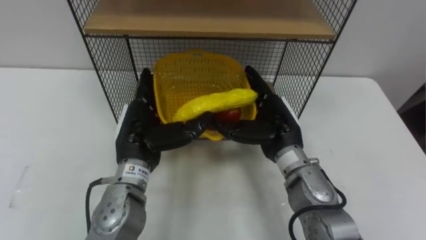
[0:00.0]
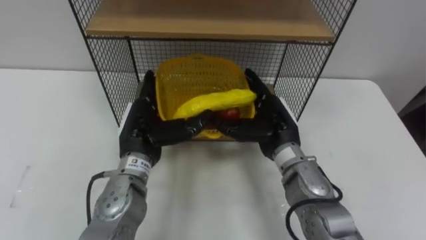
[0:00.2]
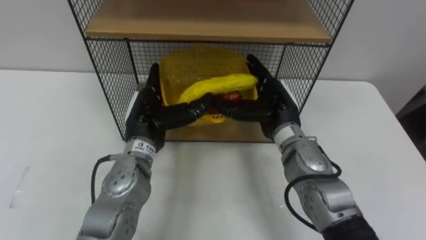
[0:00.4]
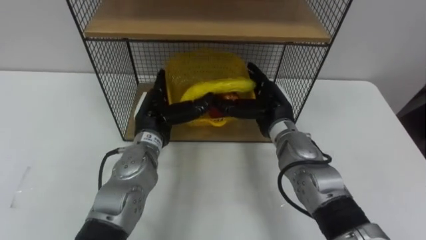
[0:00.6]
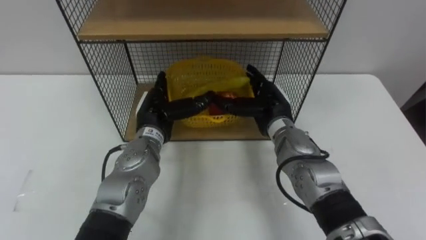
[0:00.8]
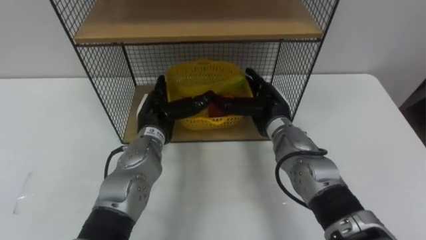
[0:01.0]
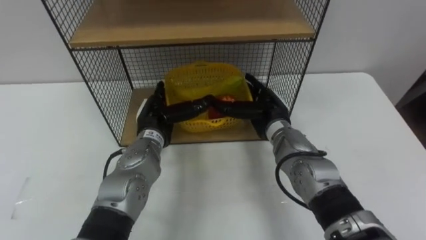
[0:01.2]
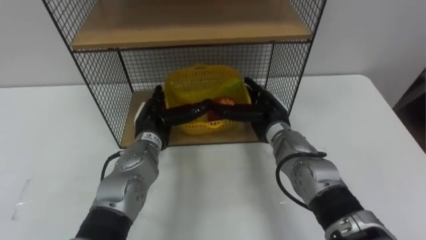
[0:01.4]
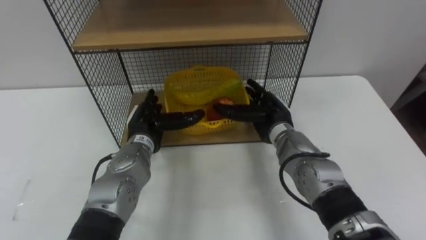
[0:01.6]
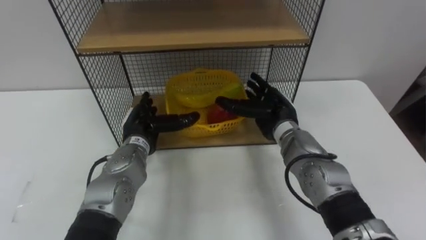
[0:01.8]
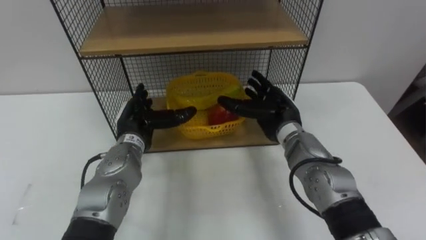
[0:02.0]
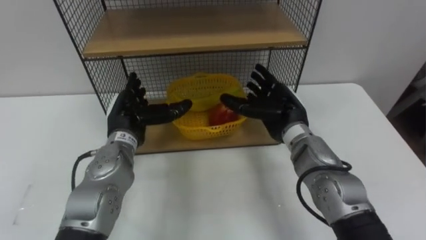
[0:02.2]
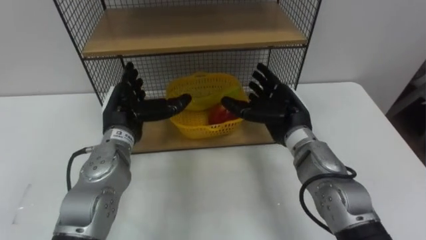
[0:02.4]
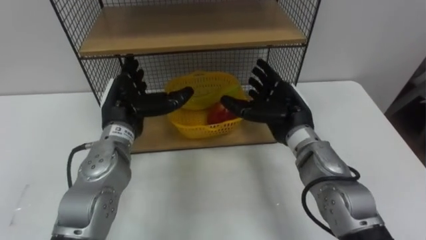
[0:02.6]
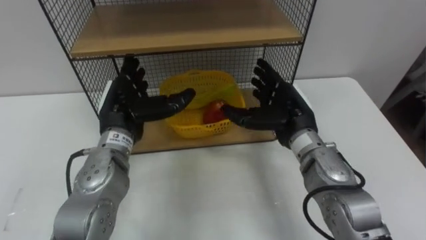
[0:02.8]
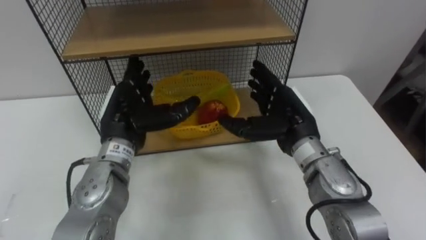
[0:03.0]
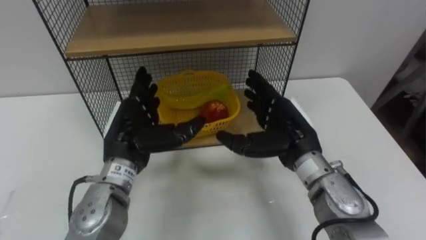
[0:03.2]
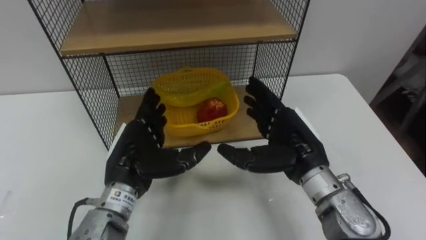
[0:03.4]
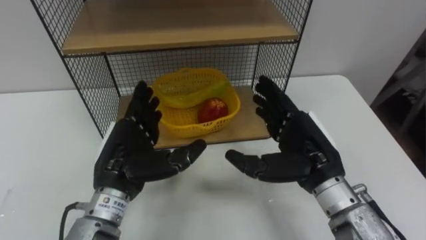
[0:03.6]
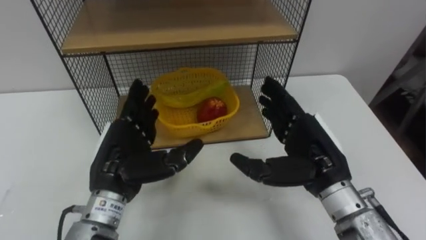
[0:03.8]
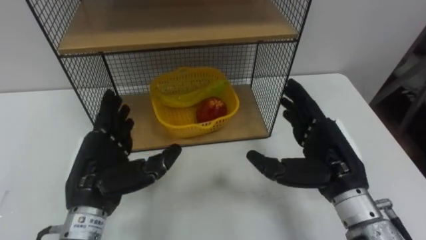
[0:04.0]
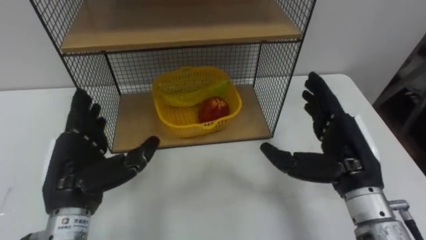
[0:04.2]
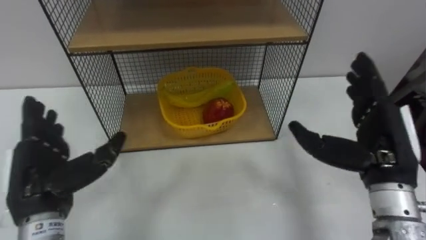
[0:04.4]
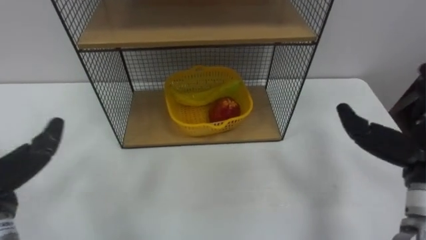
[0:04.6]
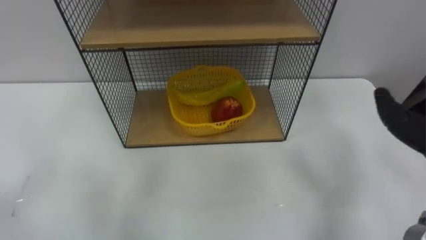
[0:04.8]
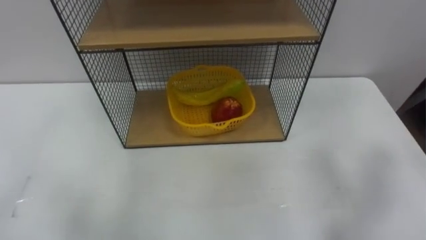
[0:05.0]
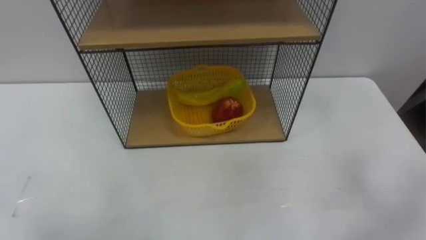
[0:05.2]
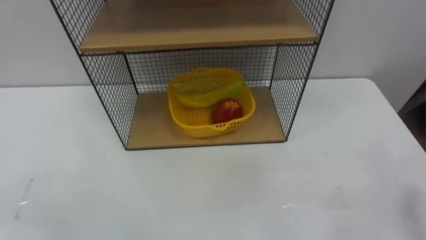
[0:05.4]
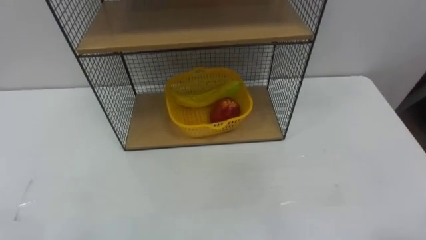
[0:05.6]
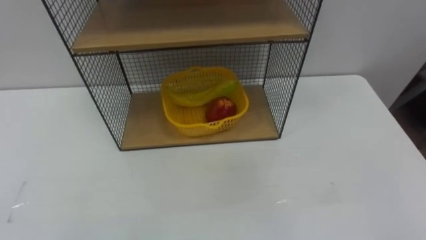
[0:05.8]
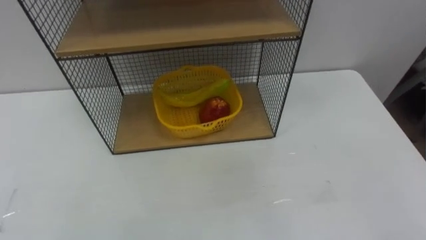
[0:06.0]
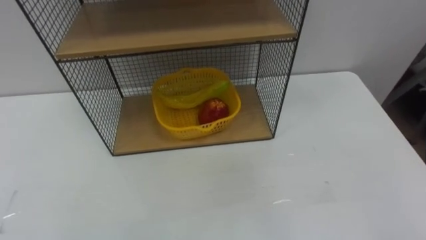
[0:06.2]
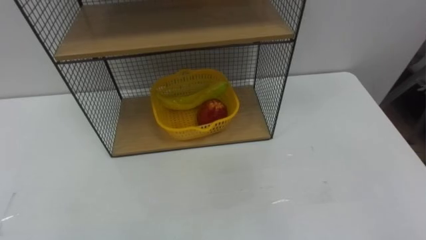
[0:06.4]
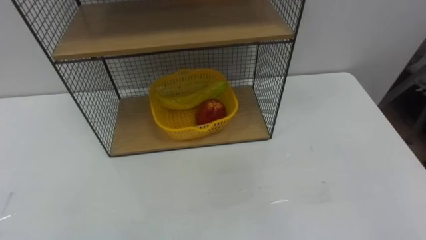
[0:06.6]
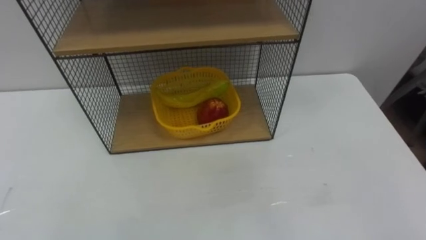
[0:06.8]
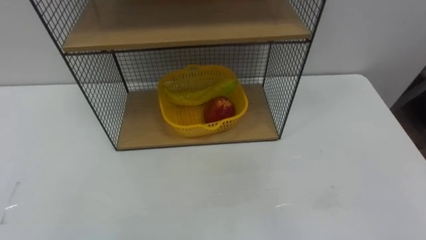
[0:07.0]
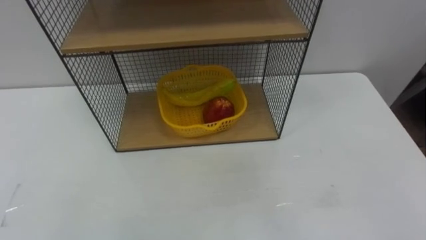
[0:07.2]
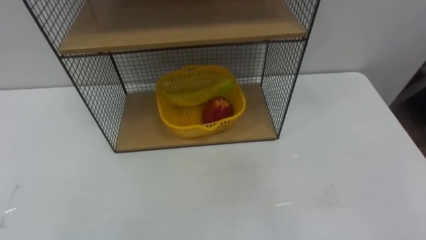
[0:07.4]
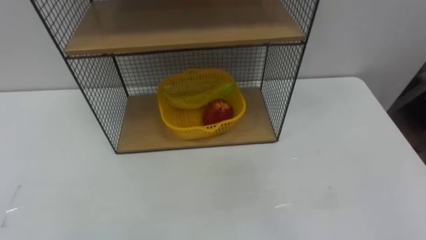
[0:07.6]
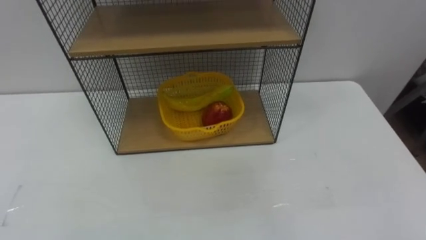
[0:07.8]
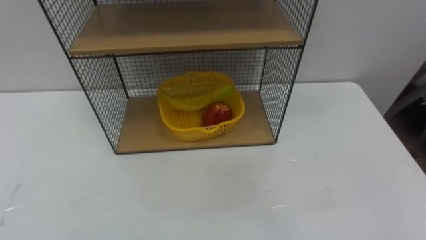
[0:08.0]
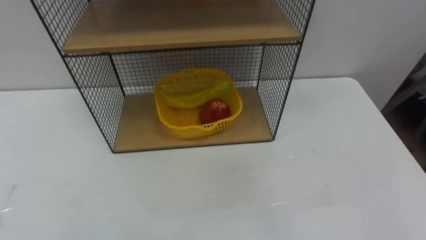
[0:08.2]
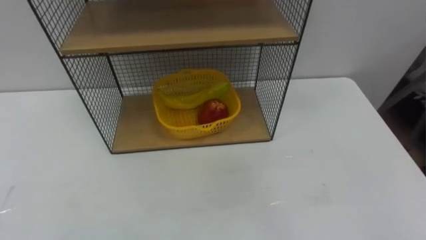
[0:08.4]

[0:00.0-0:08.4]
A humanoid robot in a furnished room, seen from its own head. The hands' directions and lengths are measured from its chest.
Task of the whole recording: Put the fruit on the table into the basket, then place the basket on the shelf.
0:00.0 to 0:01.4: The left hand moves forward and downward, some 10 cm; the right hand shifts roughly 5 cm forward.
0:01.4 to 0:02.8: Both hands move upward, some 5 cm.
0:02.8 to 0:04.2: The right hand heads backward and to the right, covering some 10 cm. The left hand shifts roughly 10 cm backward and to the left.

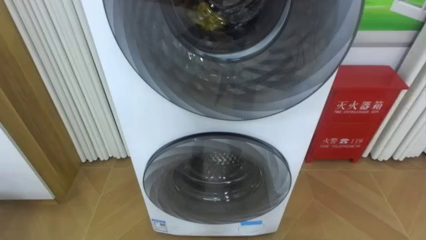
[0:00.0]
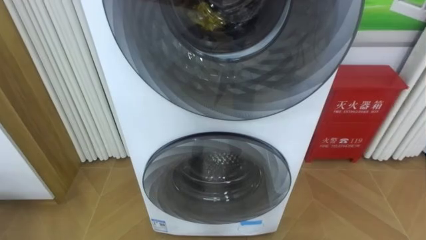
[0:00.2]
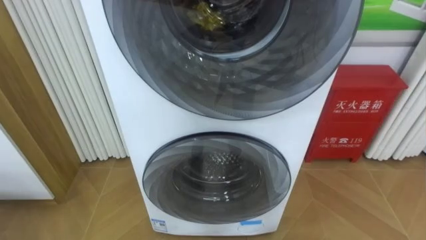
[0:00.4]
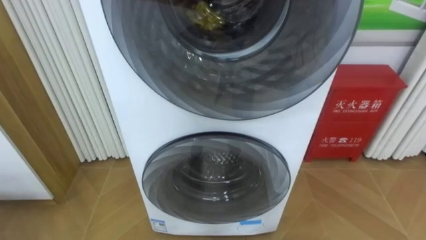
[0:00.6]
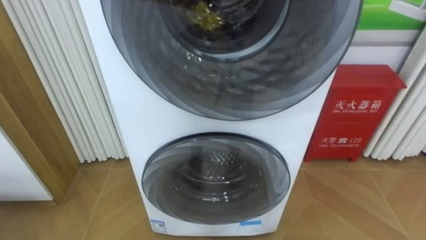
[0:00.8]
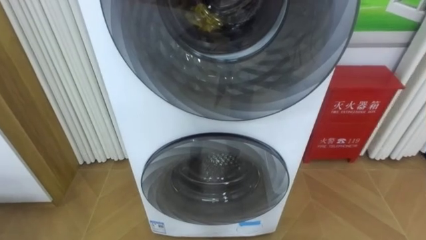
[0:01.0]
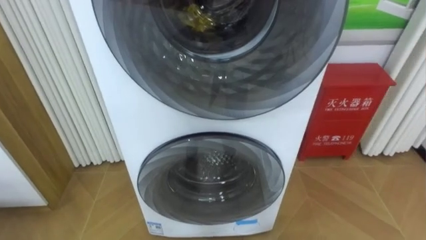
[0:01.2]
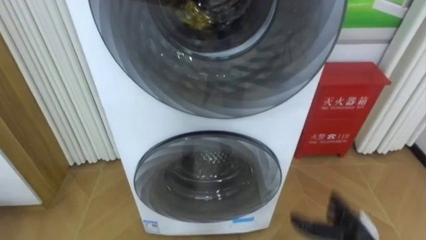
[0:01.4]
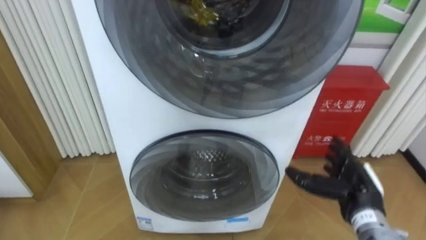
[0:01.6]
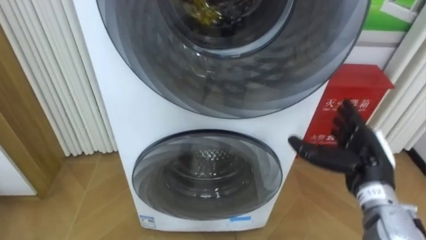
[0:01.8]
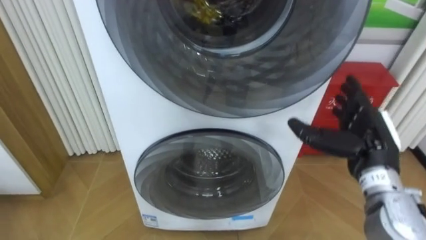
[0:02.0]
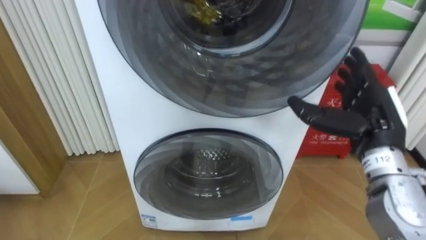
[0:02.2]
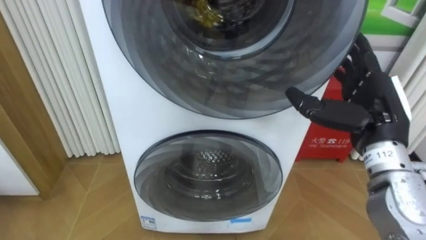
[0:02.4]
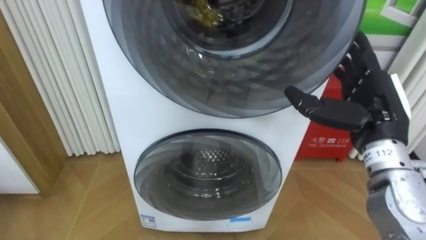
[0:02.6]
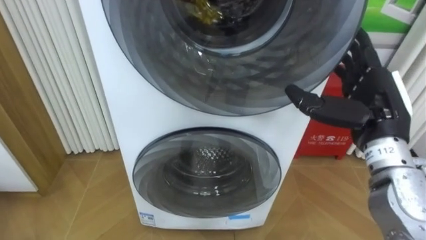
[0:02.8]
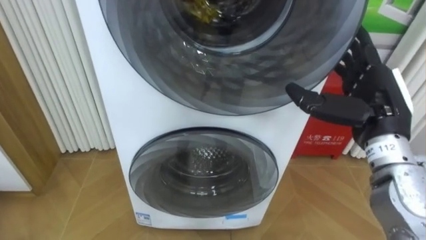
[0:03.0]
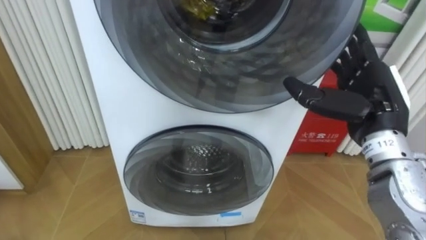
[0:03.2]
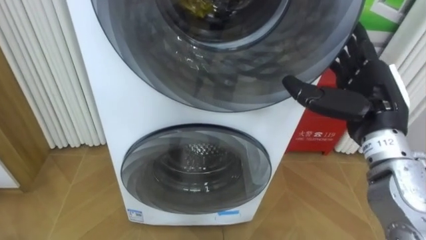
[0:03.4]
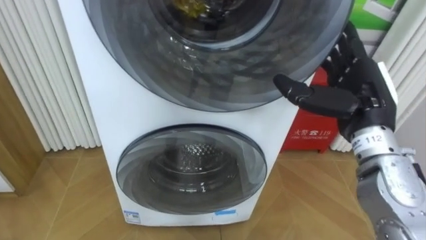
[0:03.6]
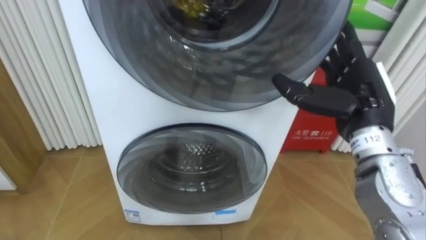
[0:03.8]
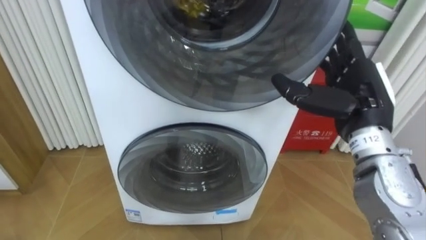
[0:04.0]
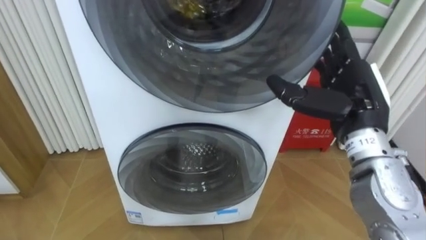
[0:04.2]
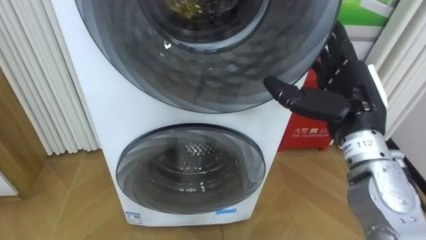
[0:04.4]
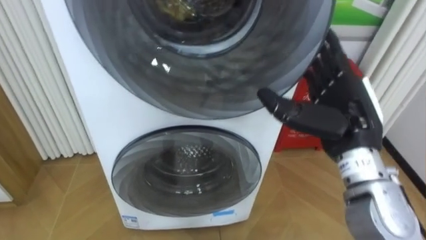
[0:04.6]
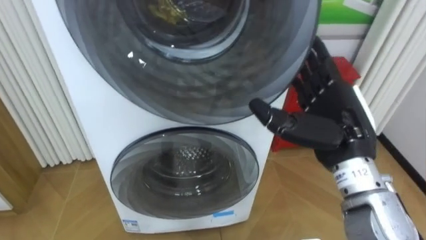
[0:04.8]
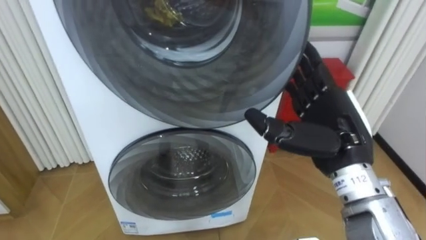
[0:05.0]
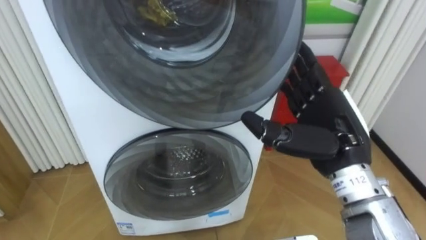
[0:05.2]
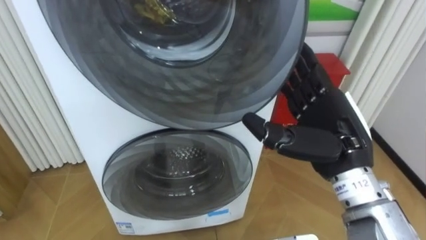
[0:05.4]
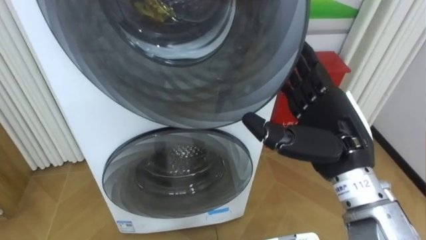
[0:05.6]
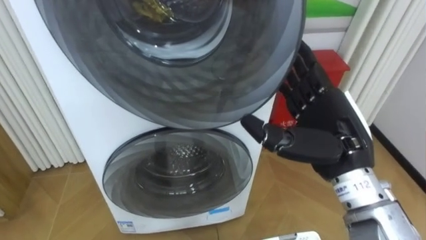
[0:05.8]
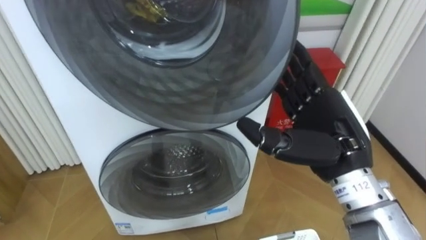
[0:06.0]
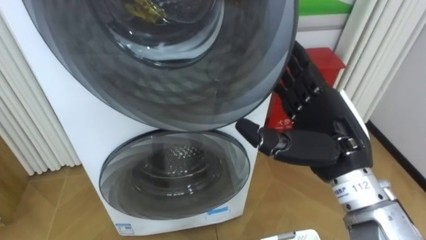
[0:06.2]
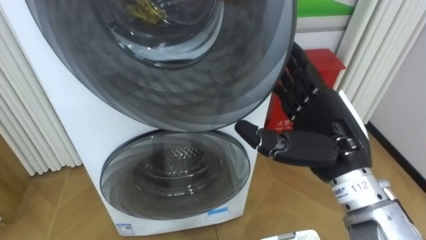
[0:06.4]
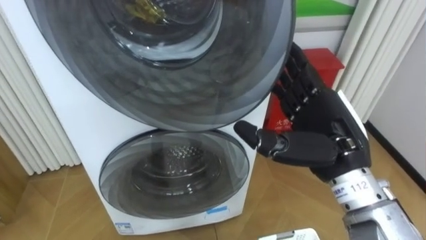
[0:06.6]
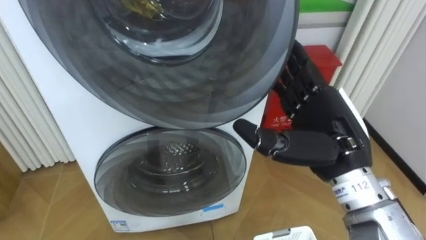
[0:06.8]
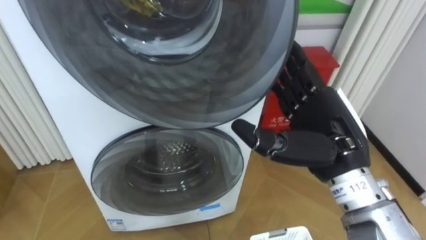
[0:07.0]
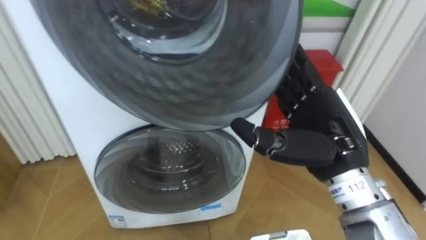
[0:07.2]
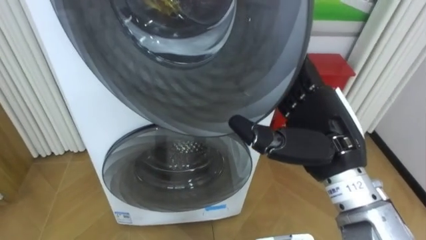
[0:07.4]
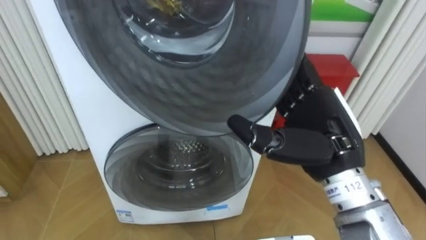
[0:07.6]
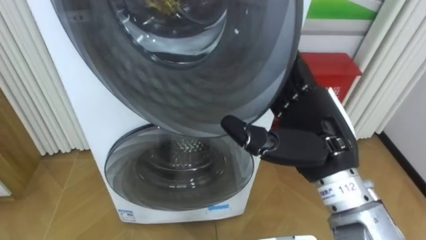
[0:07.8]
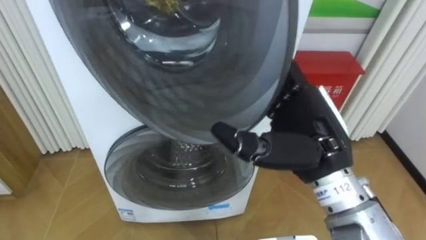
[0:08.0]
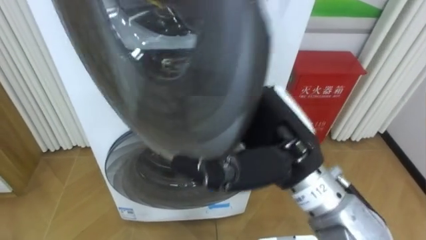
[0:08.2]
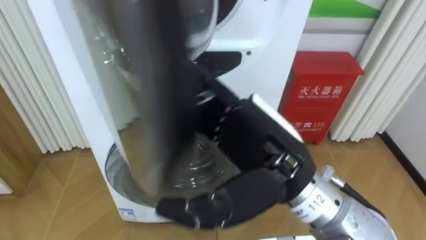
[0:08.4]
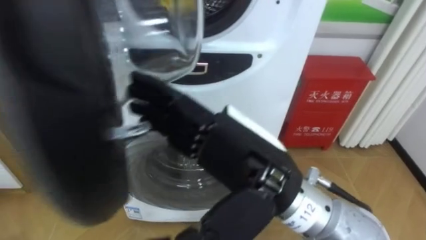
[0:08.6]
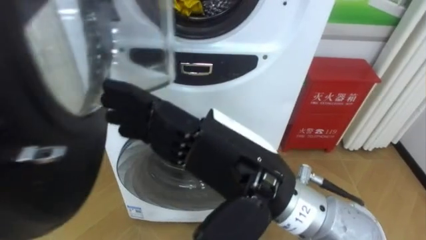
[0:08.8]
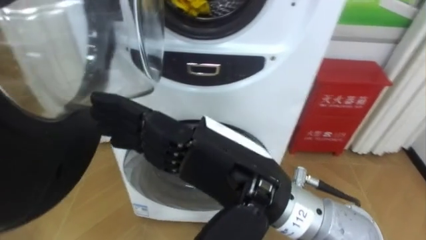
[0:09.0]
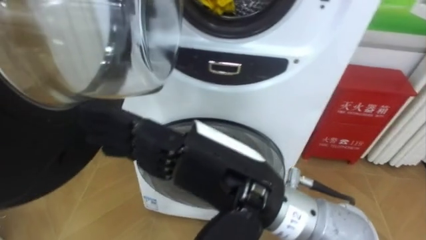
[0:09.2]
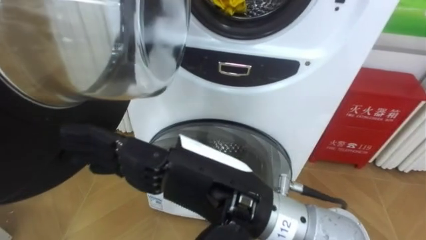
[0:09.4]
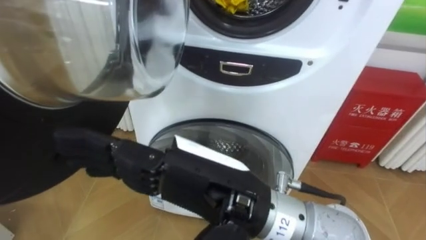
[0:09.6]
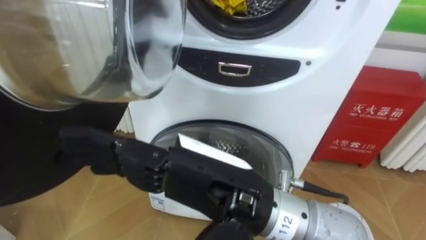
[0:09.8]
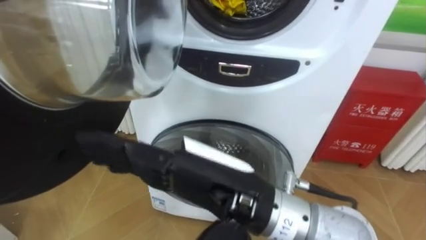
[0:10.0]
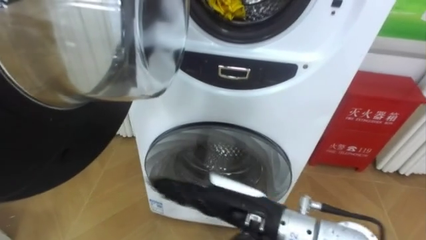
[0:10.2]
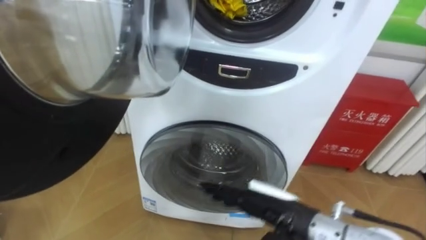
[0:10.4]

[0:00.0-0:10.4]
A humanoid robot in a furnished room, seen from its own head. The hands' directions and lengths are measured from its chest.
Task of the whole recording: Open the washing machine door, take out the yellow clothes, place them in the box on the right, and close the washing machine door.
0:04.4 to 0:06.0: The right hand ends up some 5 cm from where it was.
0:07.4 to 0:09.0: The right hand shifts approximately 15 cm to the left and backward.
0:09.0 to 0:10.4: The right hand is displaced downward and to the right by about 20 cm.
